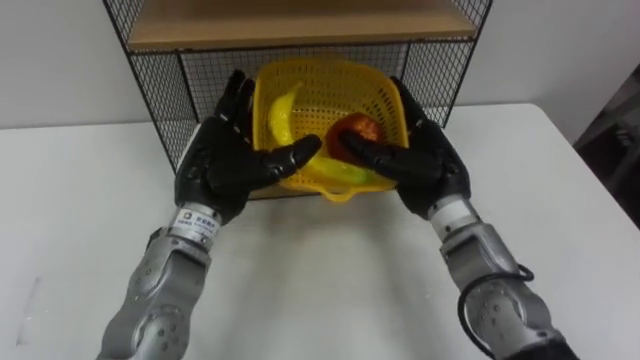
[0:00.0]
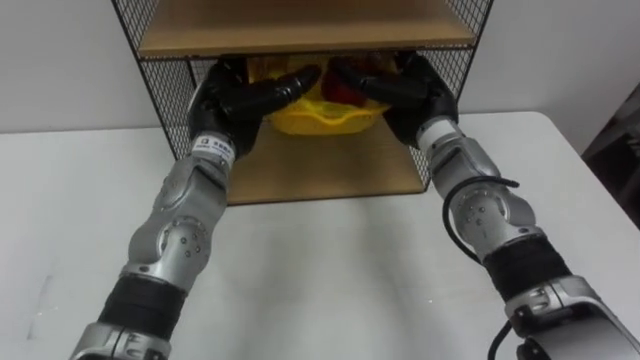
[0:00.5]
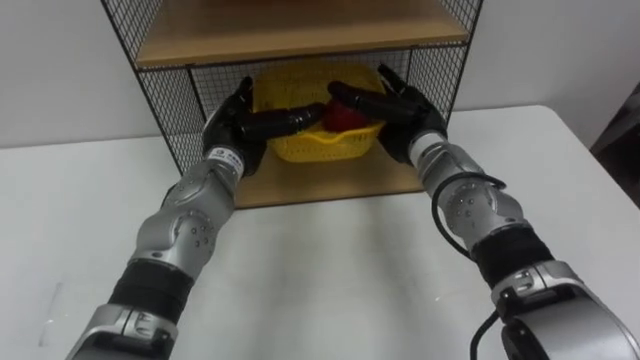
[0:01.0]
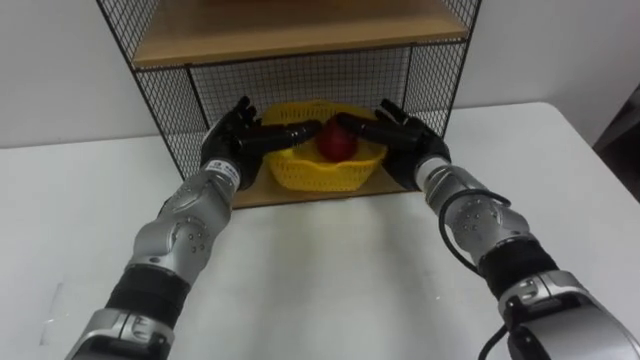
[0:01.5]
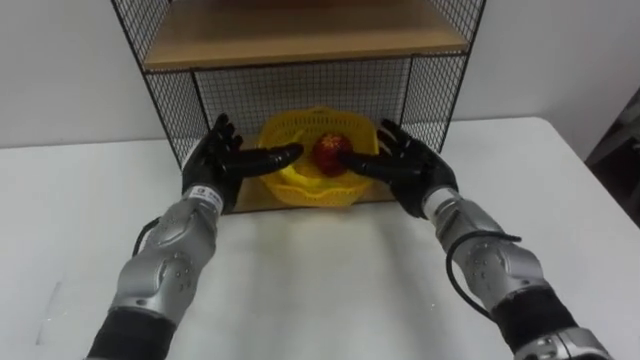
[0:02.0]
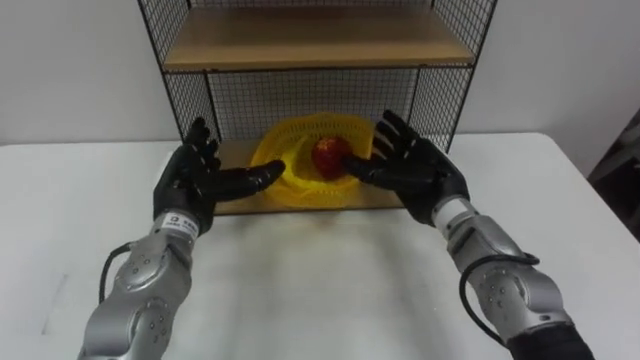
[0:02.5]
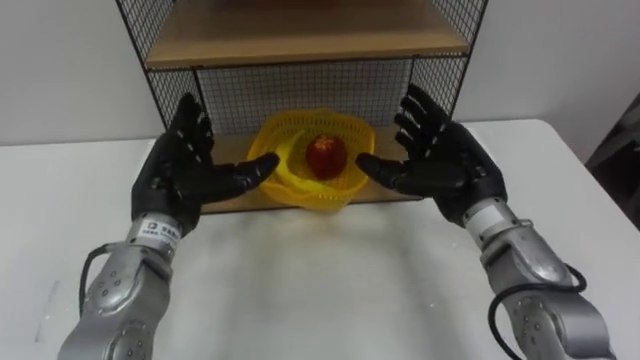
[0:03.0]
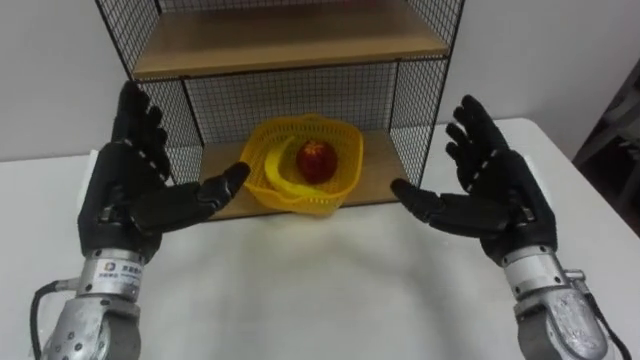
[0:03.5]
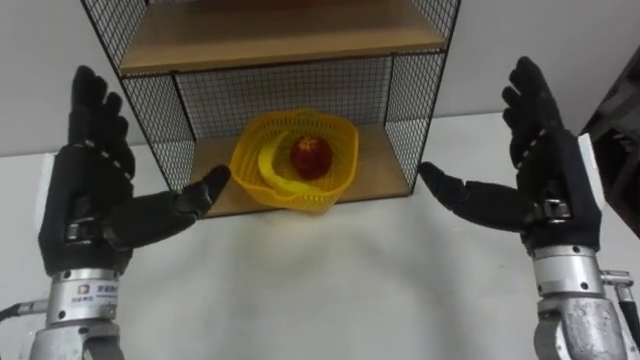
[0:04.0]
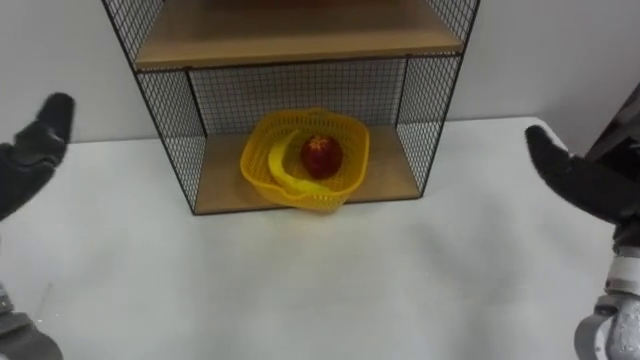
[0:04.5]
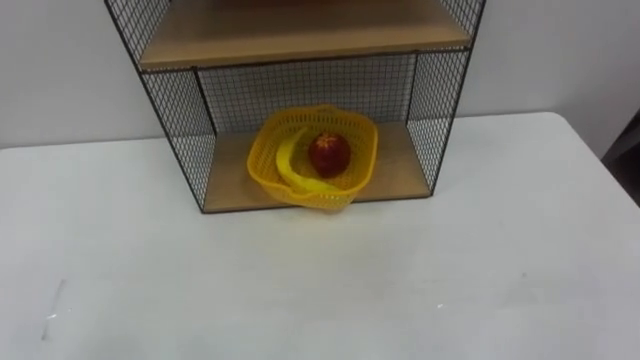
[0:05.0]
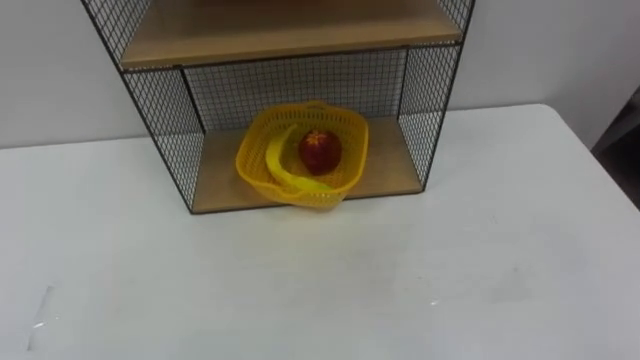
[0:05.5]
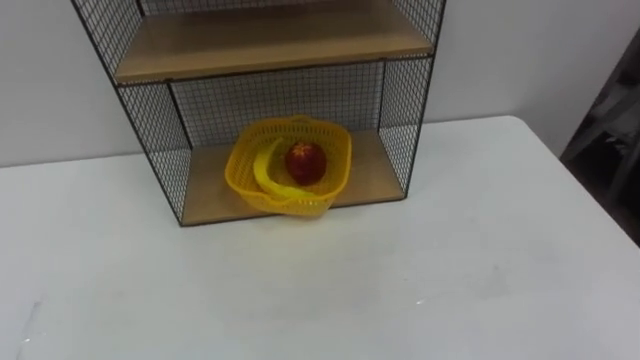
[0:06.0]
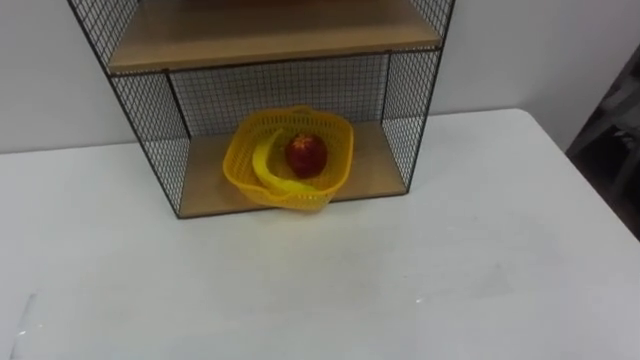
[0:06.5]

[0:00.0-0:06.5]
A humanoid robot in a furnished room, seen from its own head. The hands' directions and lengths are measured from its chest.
Task of the whole recording: Put the fruit on the table into the basket, then place the basket on the shelf.
0:00.0 to 0:02.0: Both hands travel together downward, approximately 5 cm.

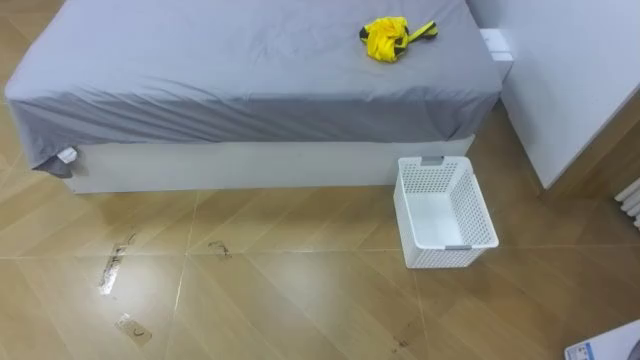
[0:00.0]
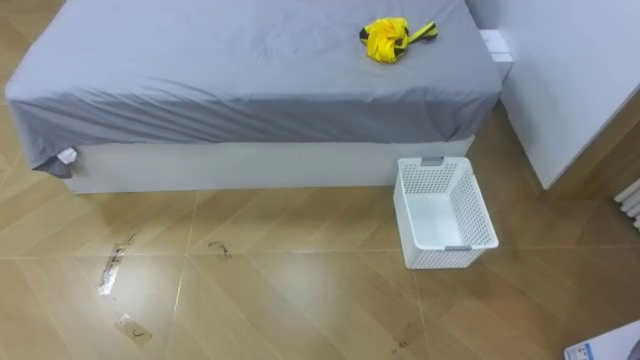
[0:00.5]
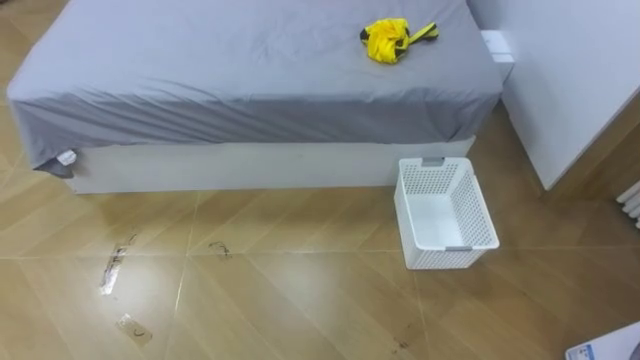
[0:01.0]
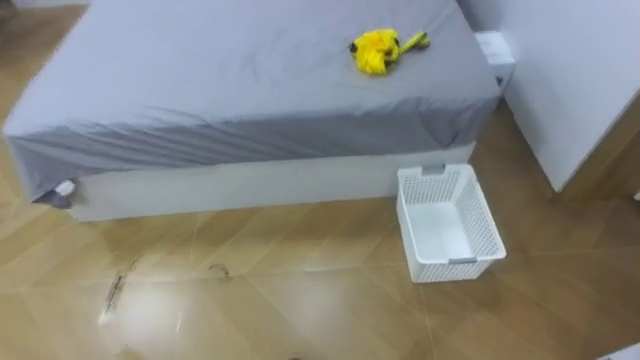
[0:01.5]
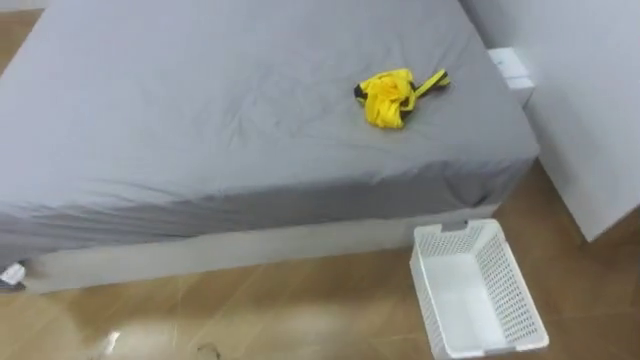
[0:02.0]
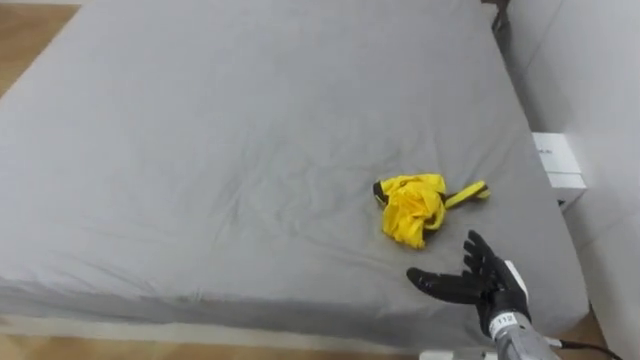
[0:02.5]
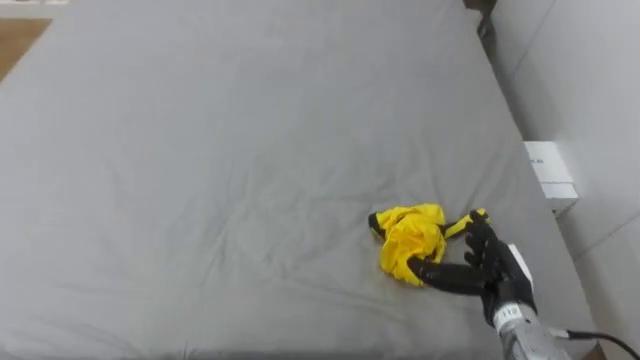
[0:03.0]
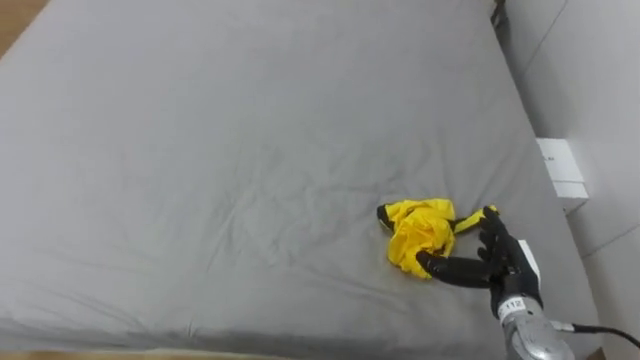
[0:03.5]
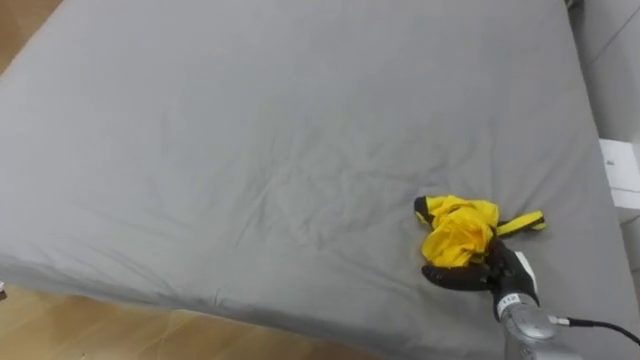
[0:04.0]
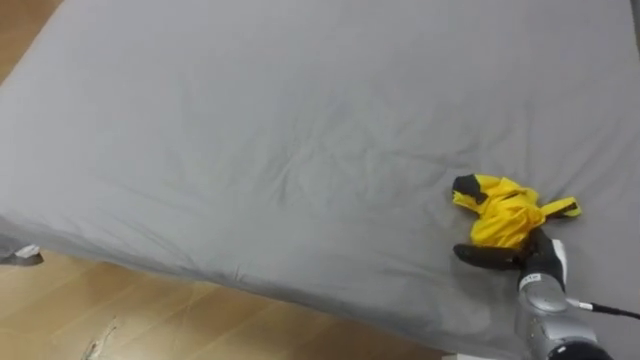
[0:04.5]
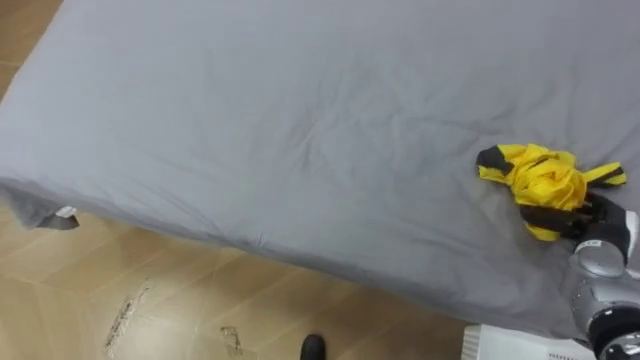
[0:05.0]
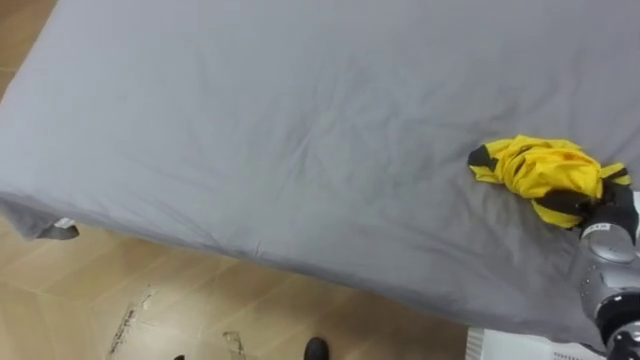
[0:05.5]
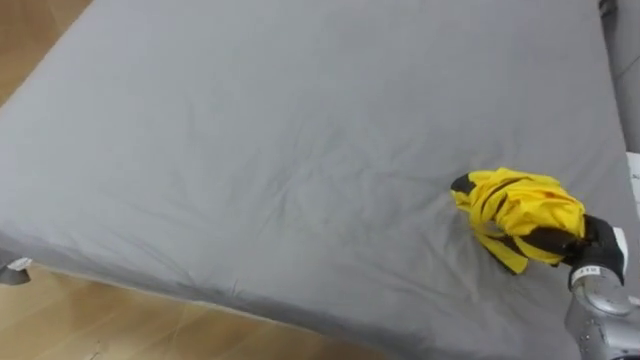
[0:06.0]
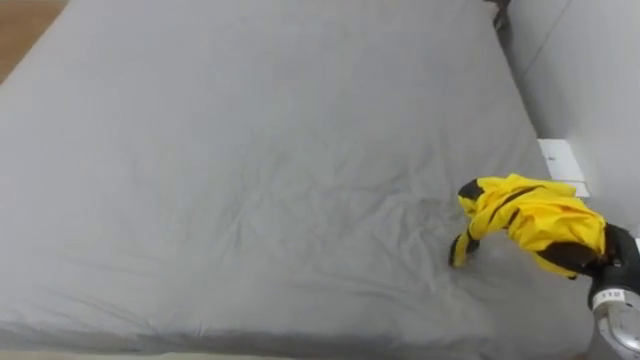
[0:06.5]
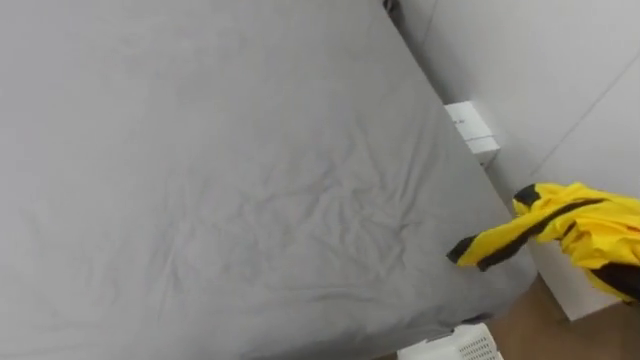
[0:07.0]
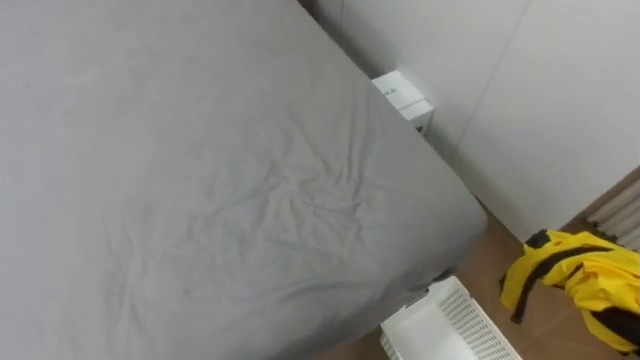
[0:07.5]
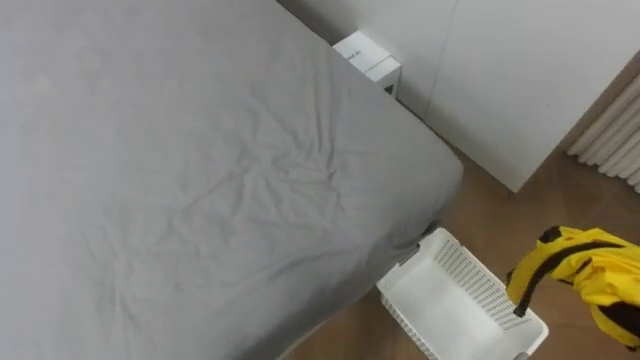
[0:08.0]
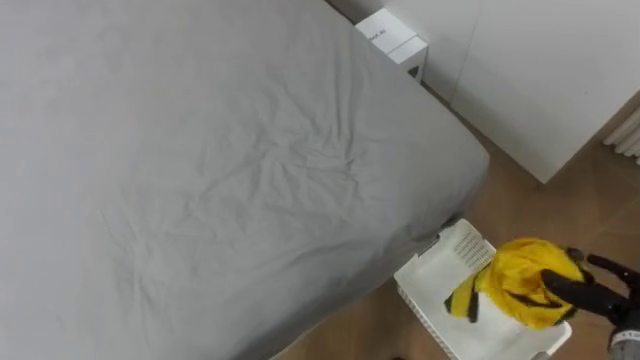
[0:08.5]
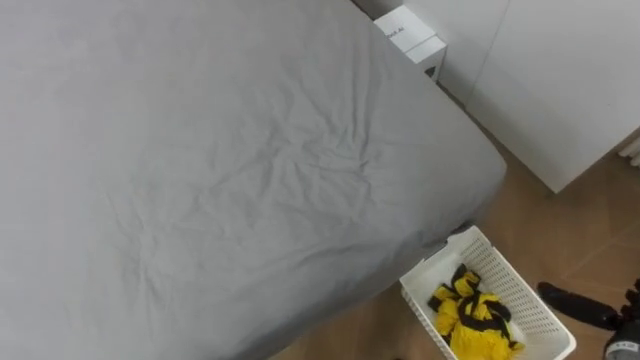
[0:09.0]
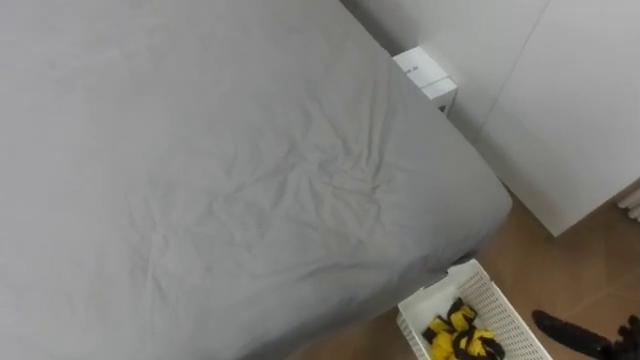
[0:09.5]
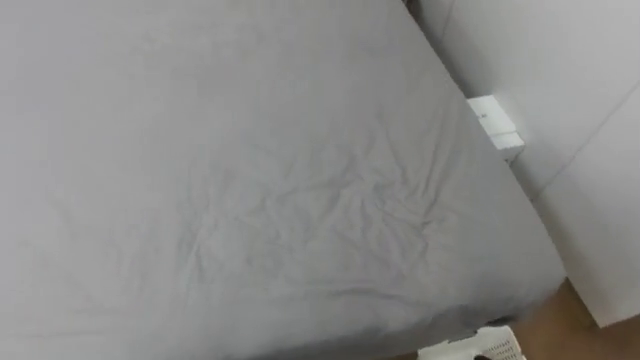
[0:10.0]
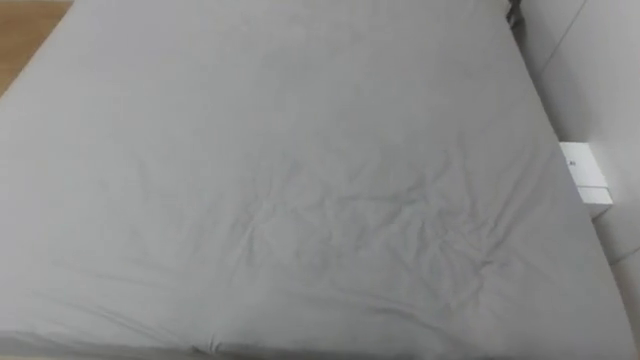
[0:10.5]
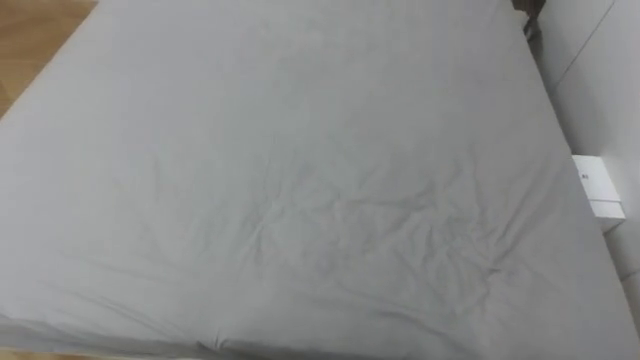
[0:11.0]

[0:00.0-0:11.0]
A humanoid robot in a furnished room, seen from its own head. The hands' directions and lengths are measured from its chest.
Task of the whole recording: Pick up the yellow clothes on the bed and place them into the white basket on the right.
0:03.5 to 0:05.5: The right hand shifts roughly 15 cm to the right and forward, and closes.

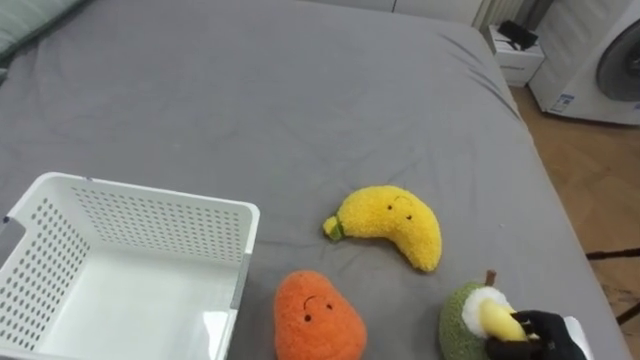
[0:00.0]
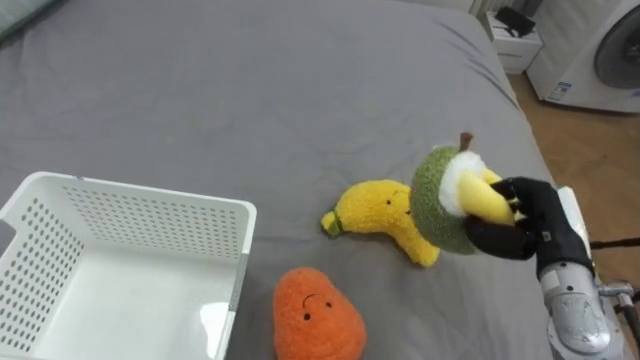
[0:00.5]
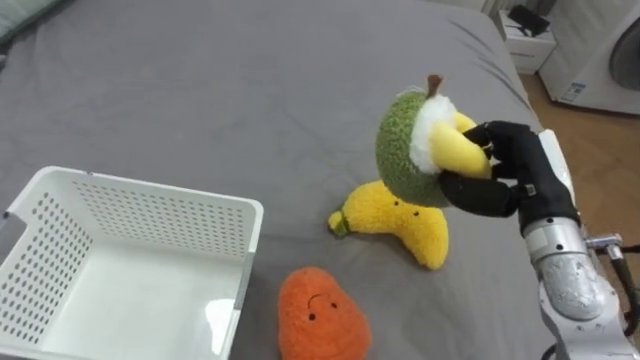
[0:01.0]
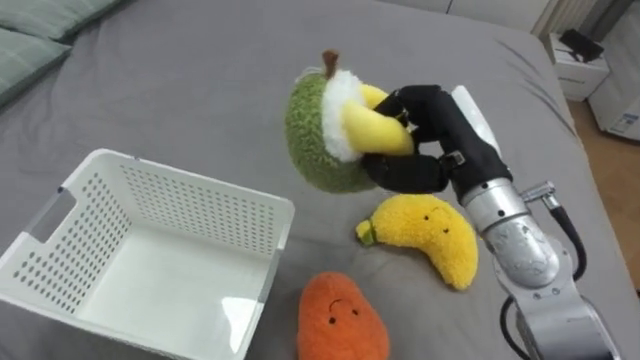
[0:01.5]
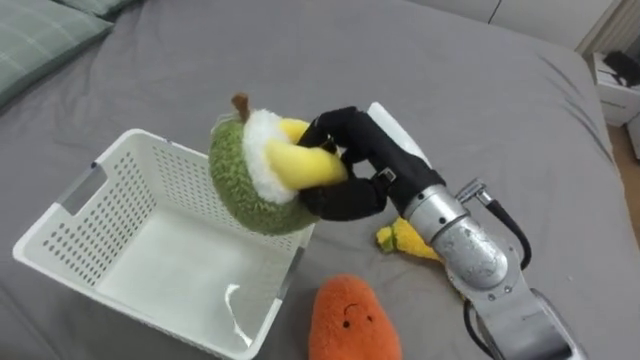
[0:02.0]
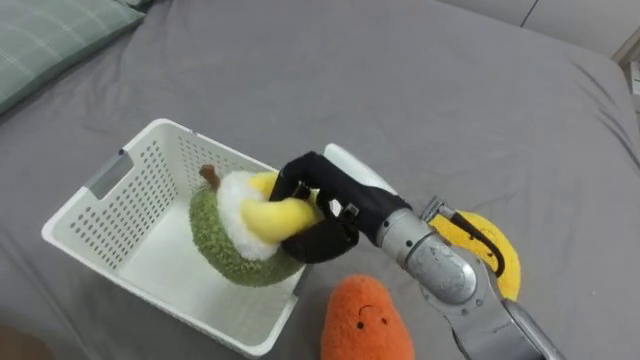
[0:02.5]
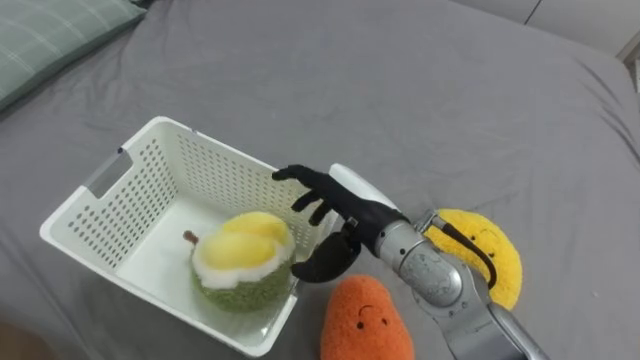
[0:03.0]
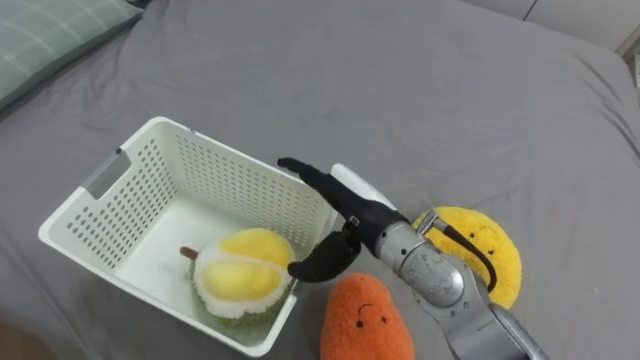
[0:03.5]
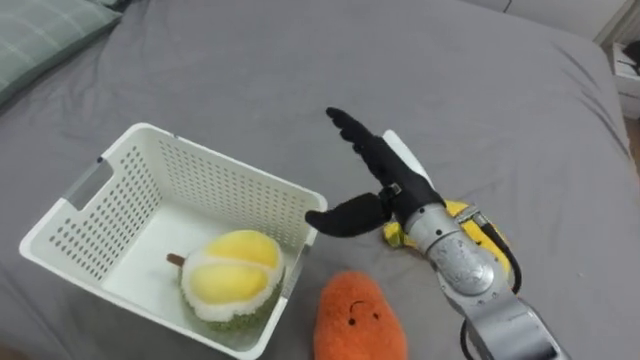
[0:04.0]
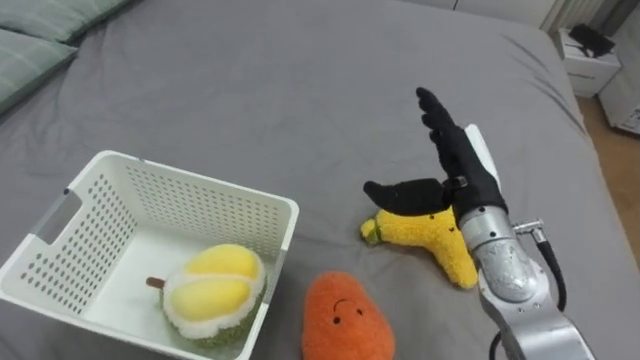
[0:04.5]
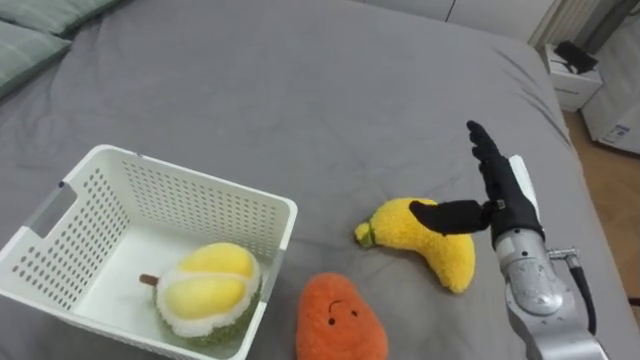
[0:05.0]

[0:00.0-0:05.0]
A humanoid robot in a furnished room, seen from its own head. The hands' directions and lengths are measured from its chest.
Task of the whole recording: Put the toys on the bed into the basket on the left.
0:00.0 to 0:02.5: The right hand is displaced to the left, upward and forward by some 40 cm.
0:02.5 to 0:05.0: The right hand travels to the right by about 20 cm, and opens its fingers.
